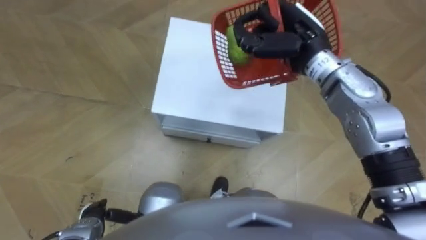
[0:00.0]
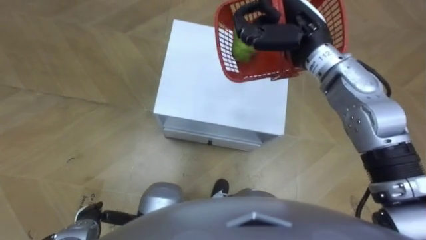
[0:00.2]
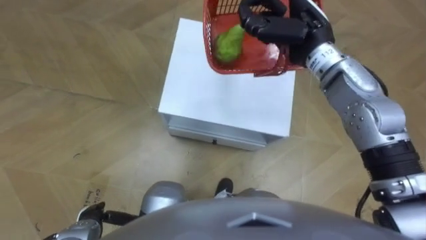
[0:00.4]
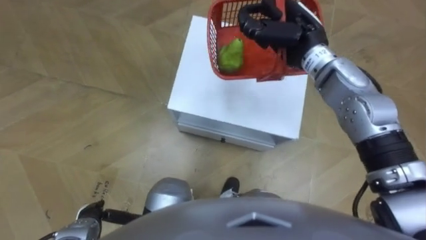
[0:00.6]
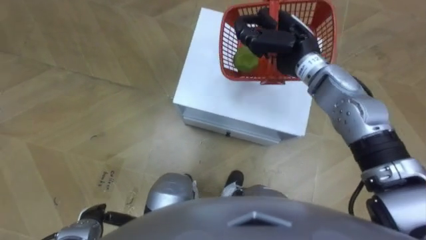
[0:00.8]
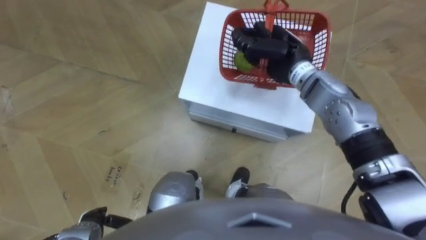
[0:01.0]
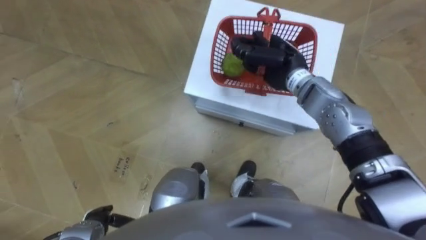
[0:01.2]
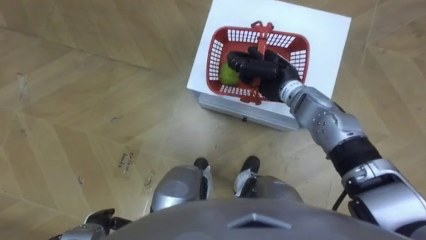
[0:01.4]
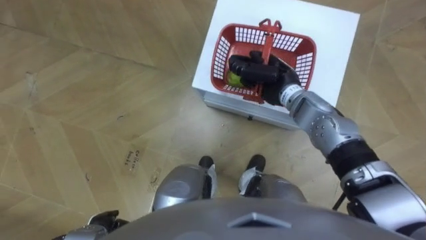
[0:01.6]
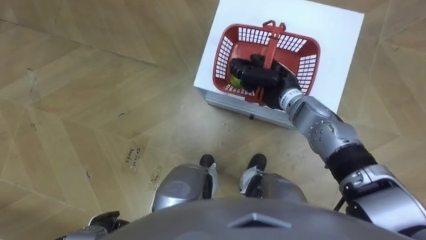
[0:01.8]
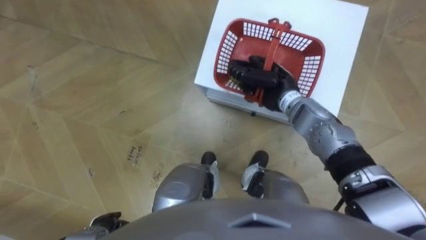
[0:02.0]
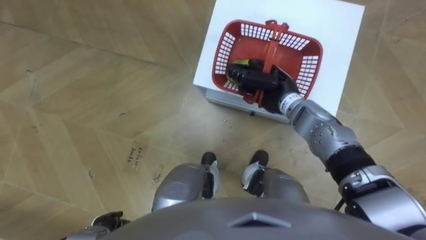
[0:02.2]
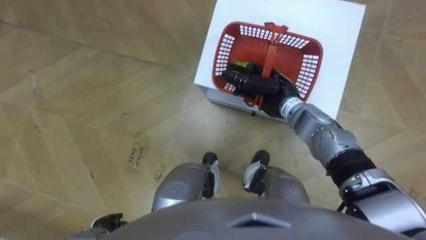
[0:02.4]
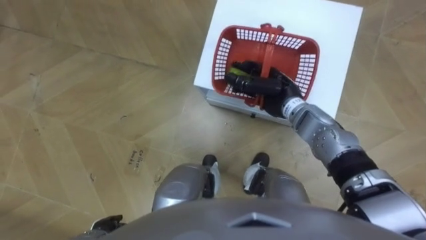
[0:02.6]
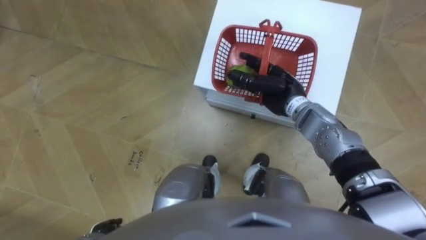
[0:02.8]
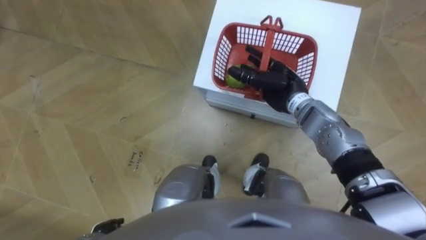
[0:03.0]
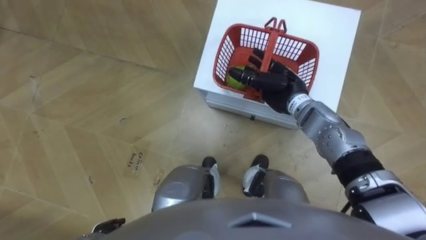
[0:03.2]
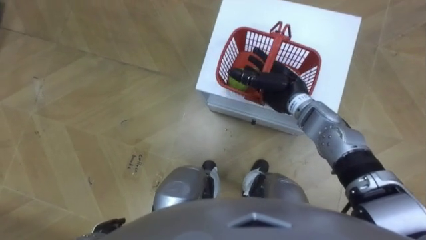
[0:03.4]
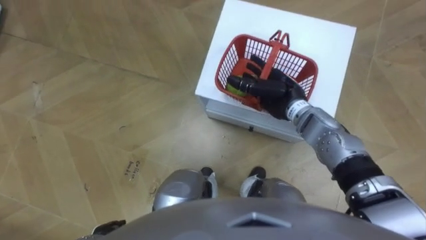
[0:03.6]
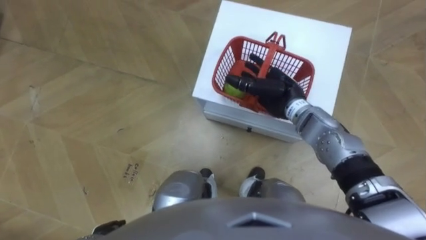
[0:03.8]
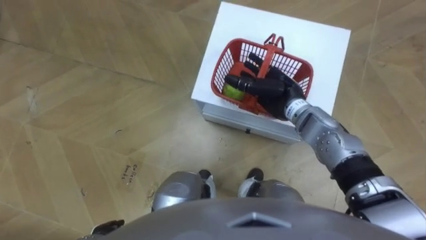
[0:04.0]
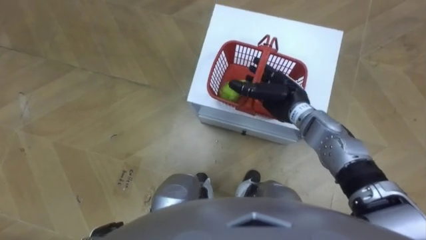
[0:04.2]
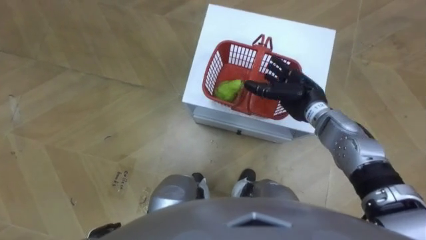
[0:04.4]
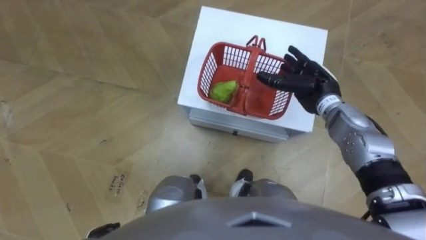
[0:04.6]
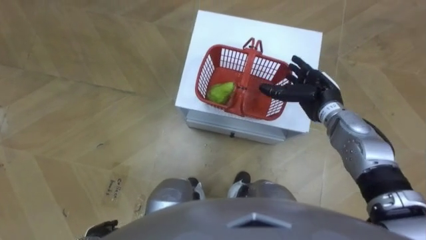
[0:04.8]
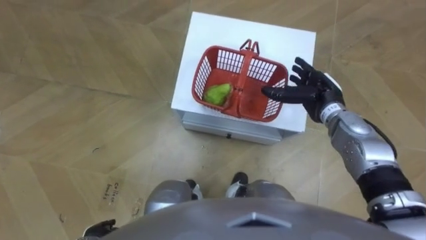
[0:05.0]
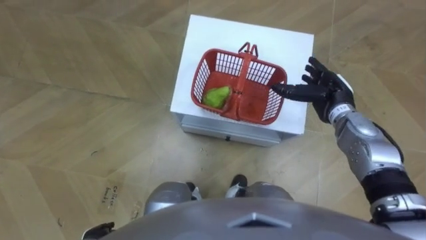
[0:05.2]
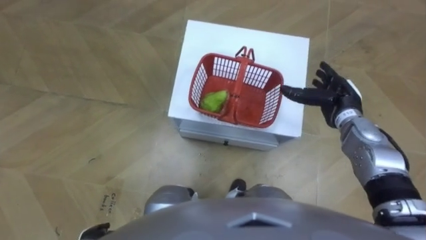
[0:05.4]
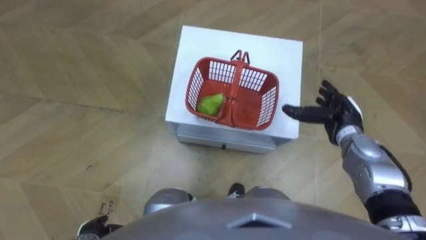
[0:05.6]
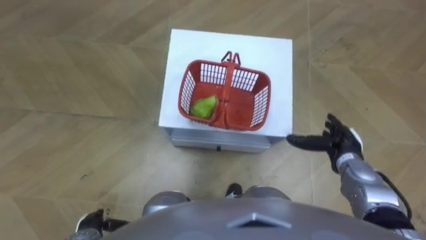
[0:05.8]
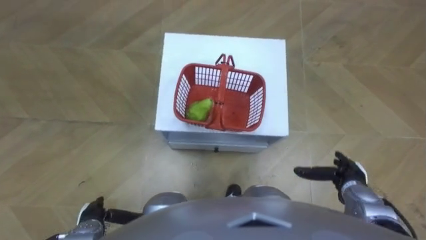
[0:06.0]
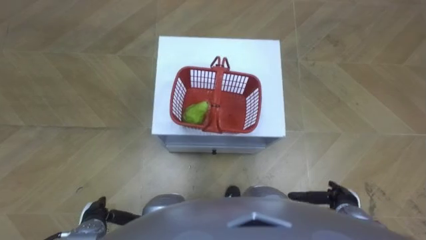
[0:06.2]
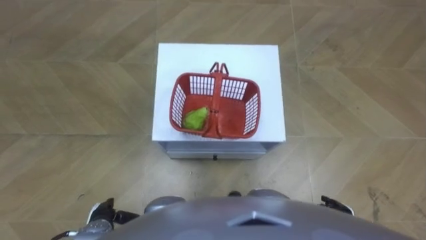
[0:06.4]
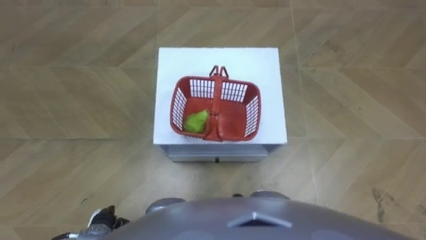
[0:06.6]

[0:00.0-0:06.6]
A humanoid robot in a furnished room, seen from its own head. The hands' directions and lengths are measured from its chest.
Task of the whole recording: Pick up the fruit basket from the floor and place it on the cabinet.
0:00.0 to 0:01.6: The right hand moves downward, roughly 10 cm.
0:01.6 to 0:03.2: The right hand opens up.
0:03.2 to 0:05.0: The right hand heads to the right, covering approximately 10 cm.
0:05.0 to 0:06.6: The right hand moves backward and downward, roughly 30 cm.

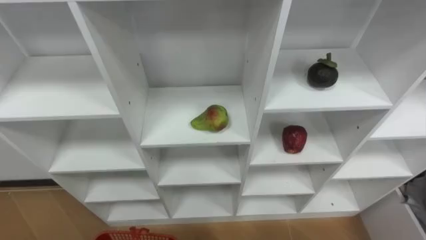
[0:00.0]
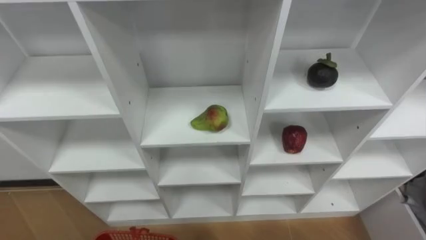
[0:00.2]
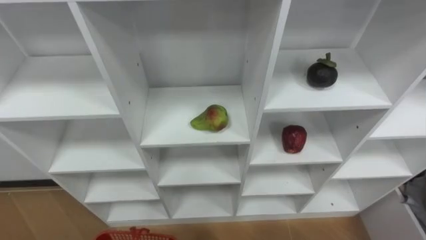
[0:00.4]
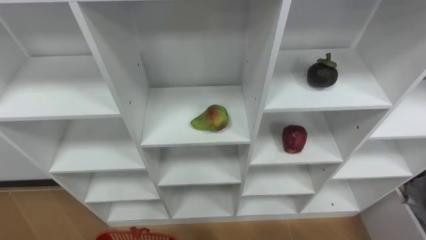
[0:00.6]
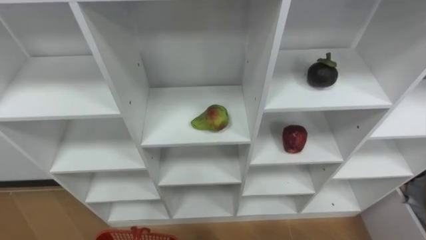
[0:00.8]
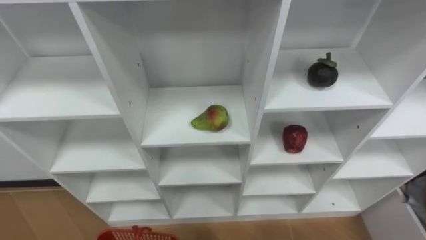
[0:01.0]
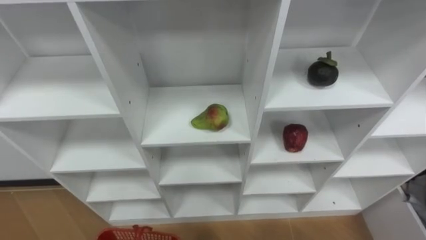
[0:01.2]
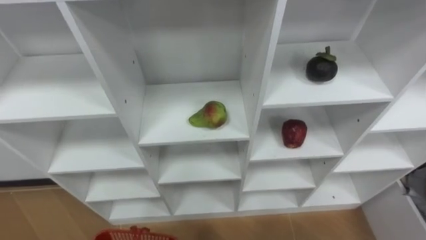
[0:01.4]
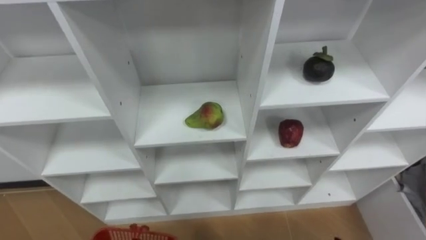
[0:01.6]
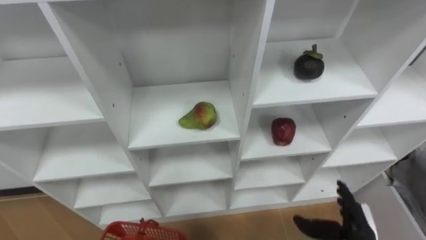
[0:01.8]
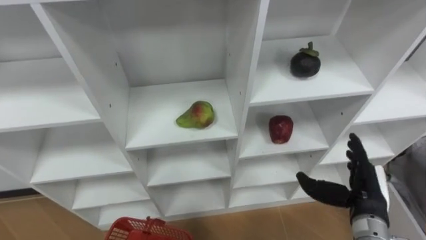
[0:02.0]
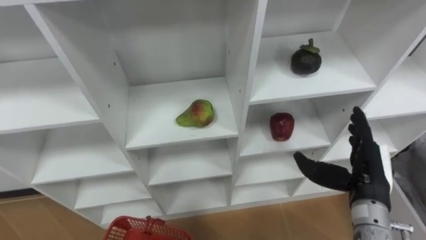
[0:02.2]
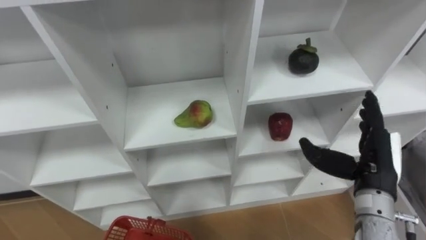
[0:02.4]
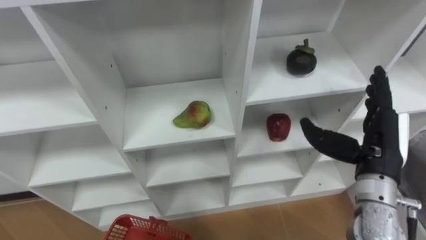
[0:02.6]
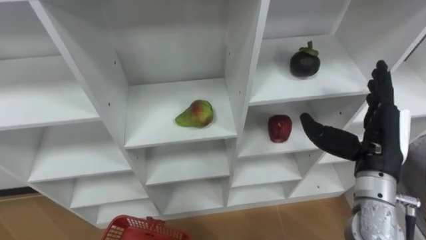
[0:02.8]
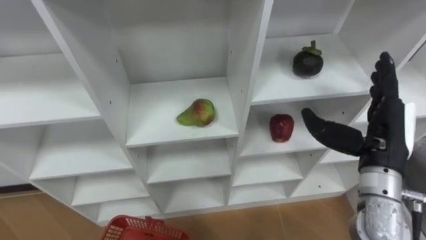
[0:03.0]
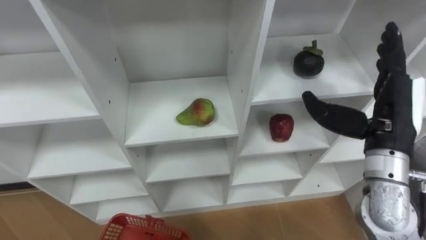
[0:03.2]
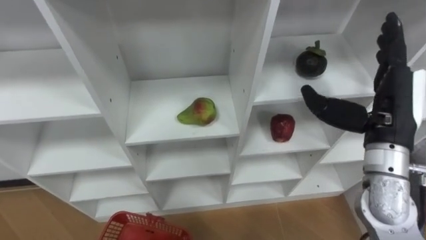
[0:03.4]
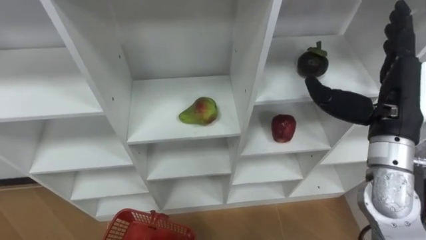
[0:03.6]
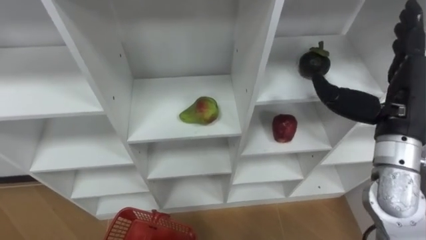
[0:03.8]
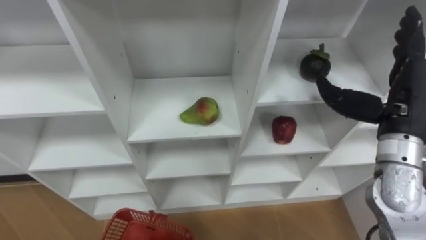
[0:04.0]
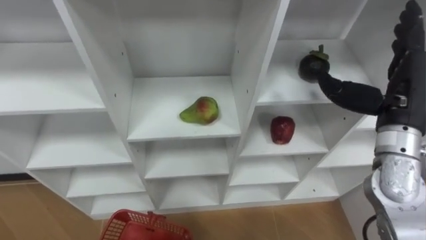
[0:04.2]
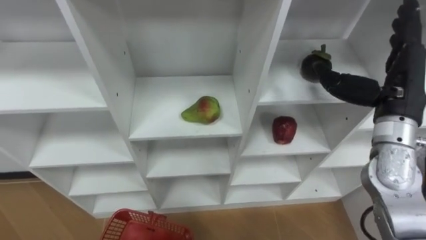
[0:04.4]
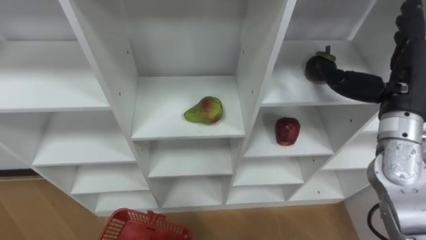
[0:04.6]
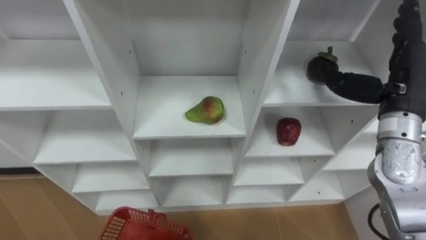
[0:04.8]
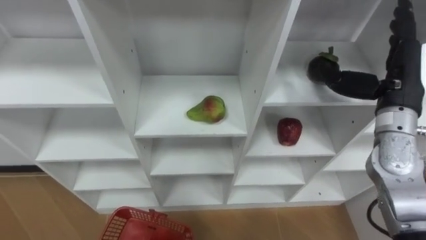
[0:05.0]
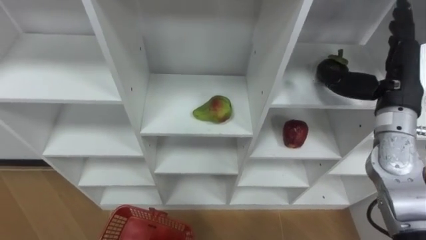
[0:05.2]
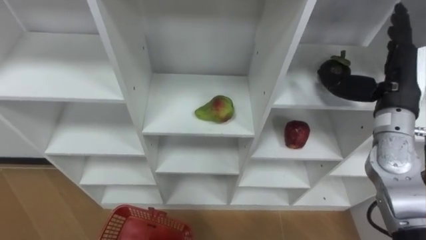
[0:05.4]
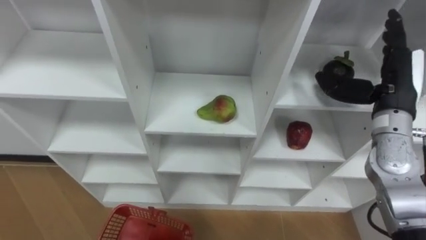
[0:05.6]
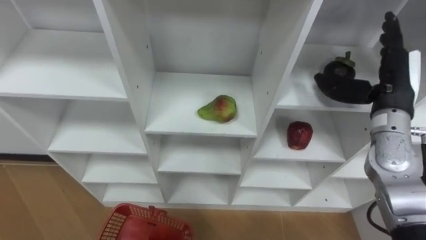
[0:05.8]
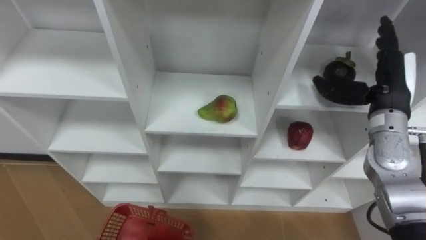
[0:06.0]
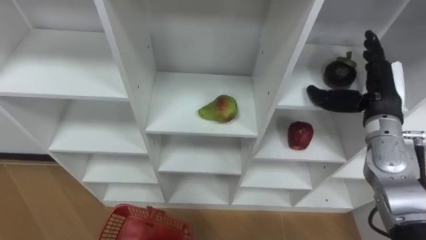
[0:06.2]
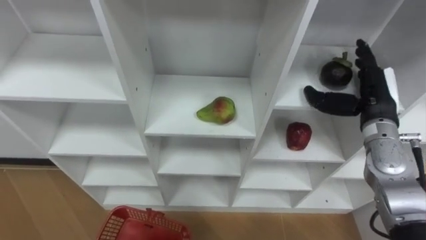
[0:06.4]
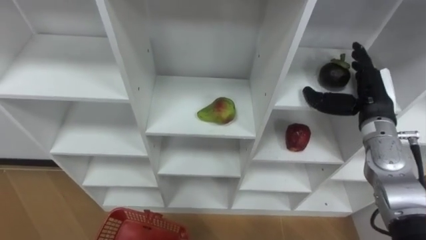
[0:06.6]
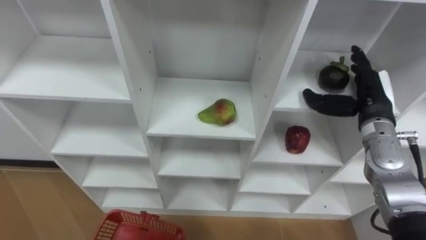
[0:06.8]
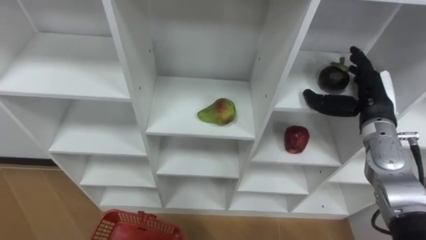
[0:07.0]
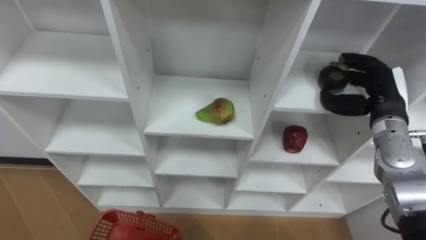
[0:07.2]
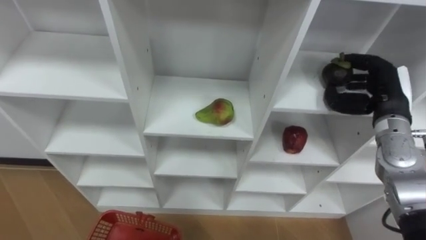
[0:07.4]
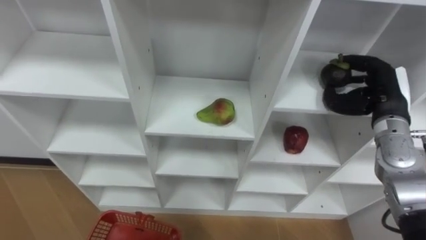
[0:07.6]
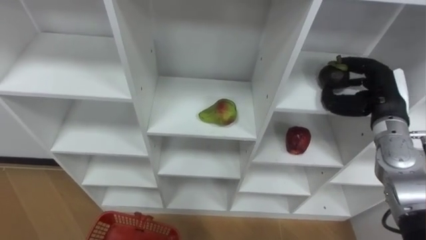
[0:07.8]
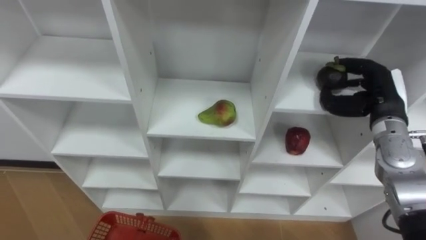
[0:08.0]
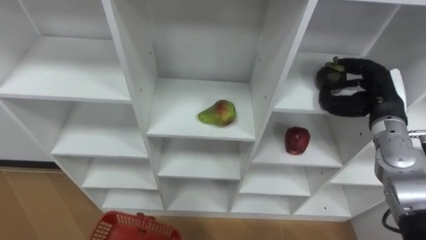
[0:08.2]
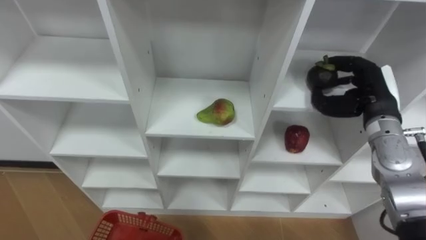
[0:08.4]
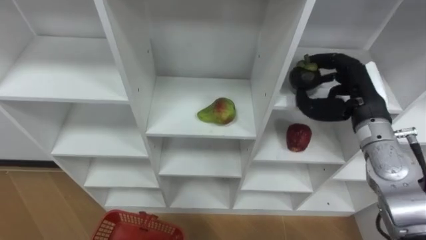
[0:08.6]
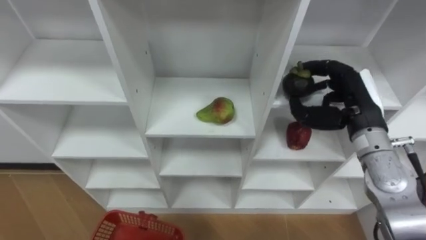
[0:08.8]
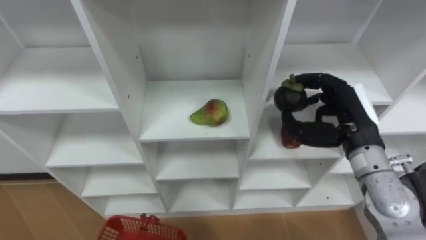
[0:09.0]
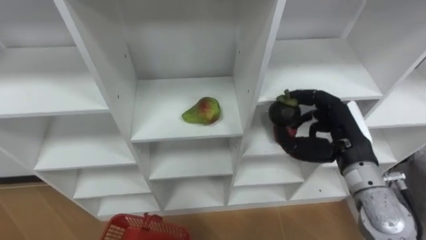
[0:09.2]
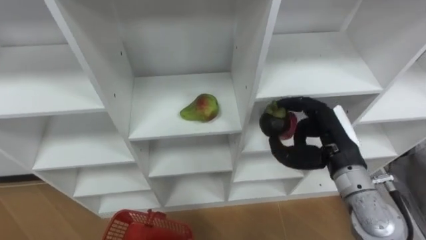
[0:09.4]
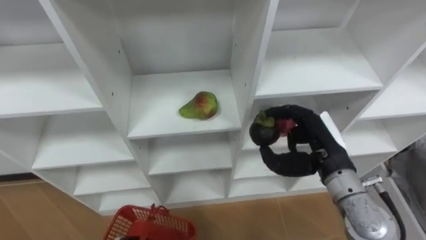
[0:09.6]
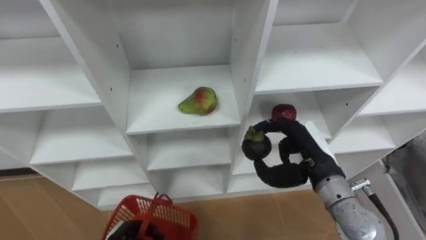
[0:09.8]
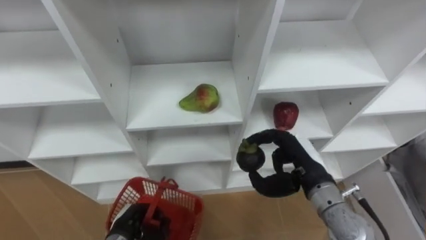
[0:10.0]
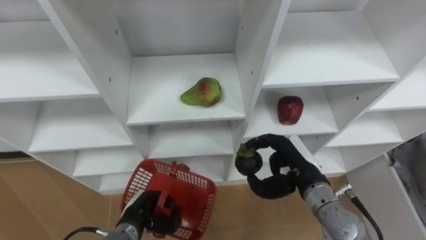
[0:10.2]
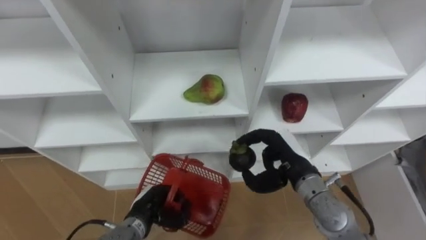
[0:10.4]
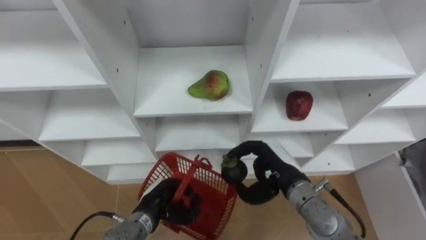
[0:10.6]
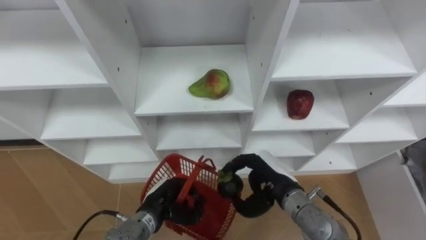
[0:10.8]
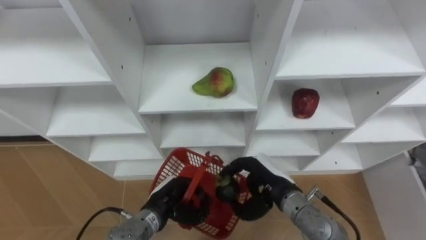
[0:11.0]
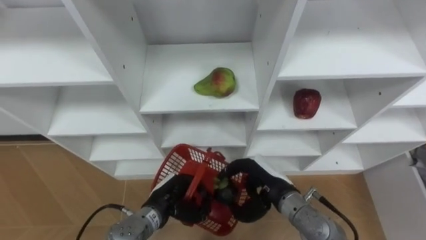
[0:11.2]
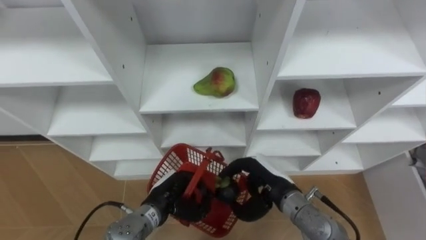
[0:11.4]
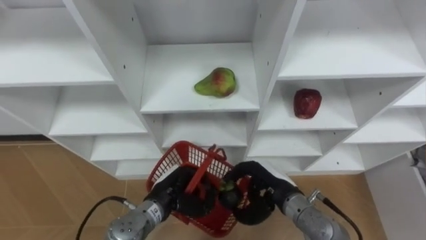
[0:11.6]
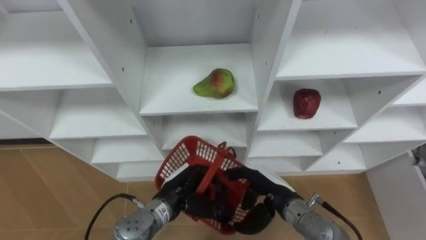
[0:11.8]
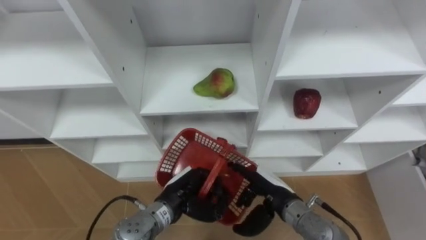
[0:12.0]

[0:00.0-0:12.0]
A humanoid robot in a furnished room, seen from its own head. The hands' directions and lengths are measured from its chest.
Task of the whole recording: Hold the basket and collect the fruits from 3 different cells of the closet into it.
0:03.0 to 0:04.4: The right hand travels forward and upward by approximately 5 cm.
0:04.4 to 0:06.0: The right hand shifts by approximately 5 cm.
0:06.0 to 0:07.6: The right hand closes its fingers.
0:07.6 to 0:09.0: The right hand moves to the left and backward, approximately 10 cm.
0:09.0 to 0:10.4: The right hand heads downward and to the left, covering some 15 cm.
0:10.4 to 0:12.0: The left hand is displaced to the right and upward by some 10 cm; the right hand moves downward, about 5 cm, and opens up.
